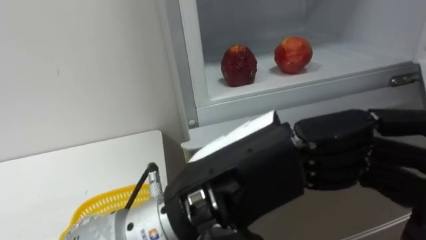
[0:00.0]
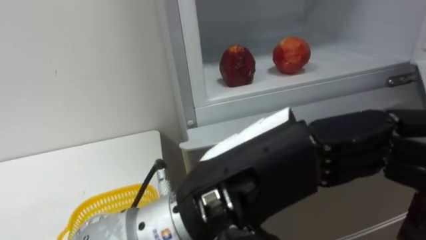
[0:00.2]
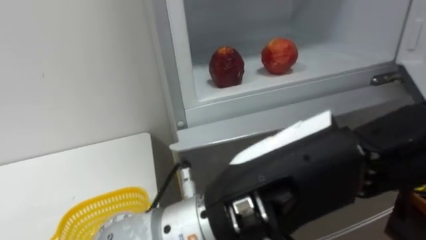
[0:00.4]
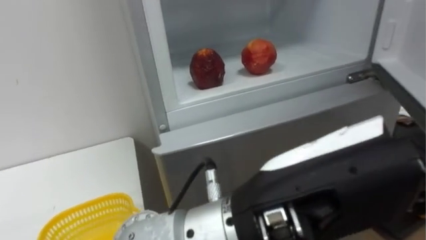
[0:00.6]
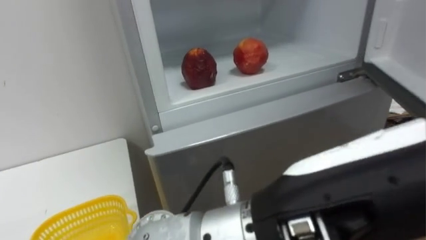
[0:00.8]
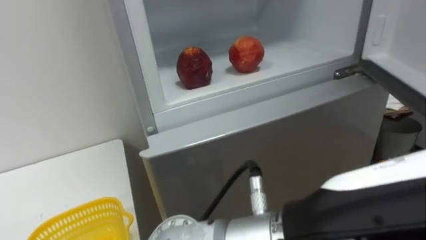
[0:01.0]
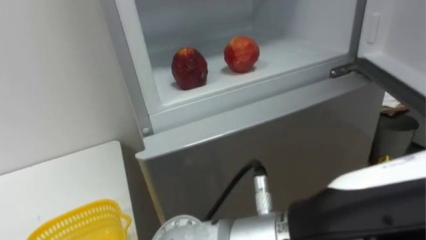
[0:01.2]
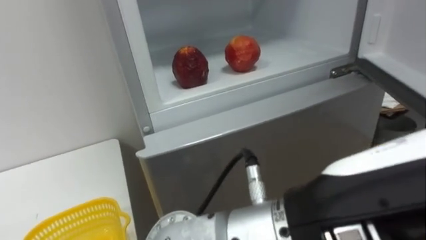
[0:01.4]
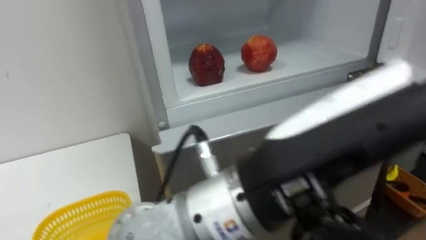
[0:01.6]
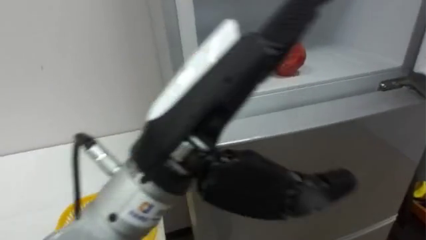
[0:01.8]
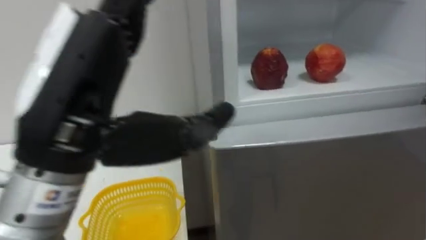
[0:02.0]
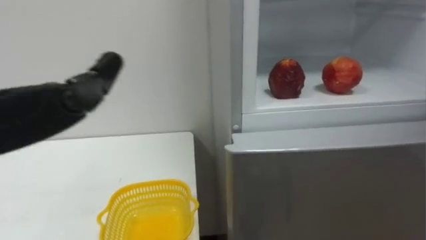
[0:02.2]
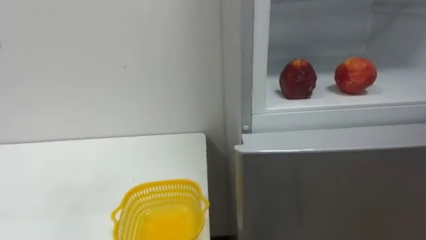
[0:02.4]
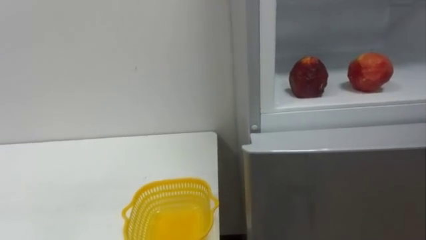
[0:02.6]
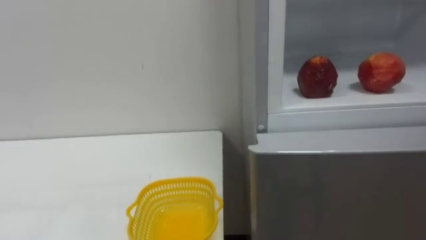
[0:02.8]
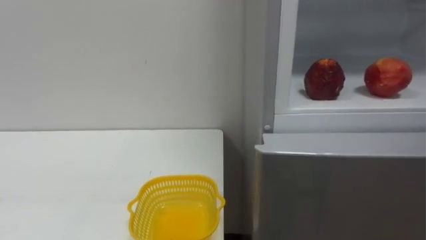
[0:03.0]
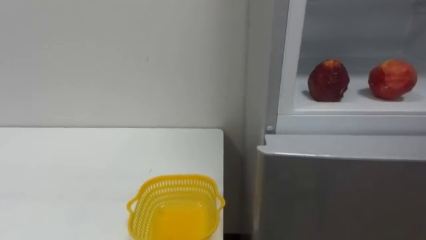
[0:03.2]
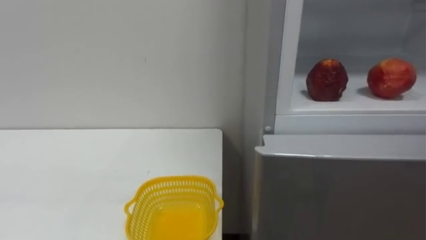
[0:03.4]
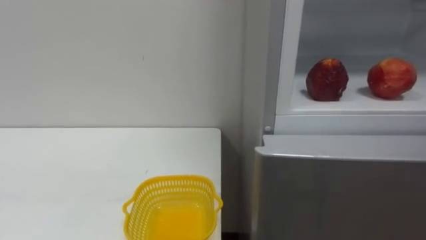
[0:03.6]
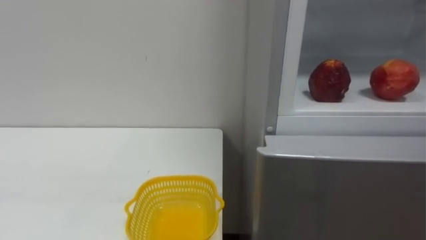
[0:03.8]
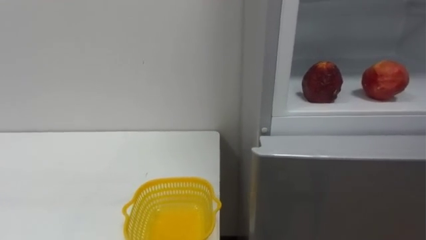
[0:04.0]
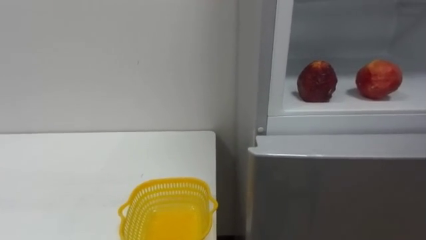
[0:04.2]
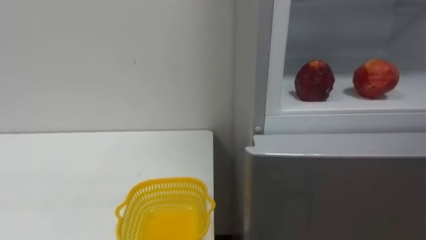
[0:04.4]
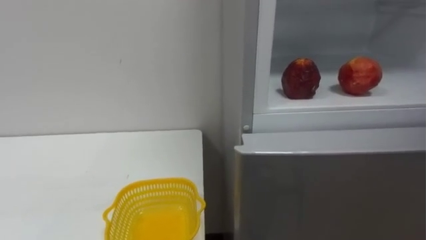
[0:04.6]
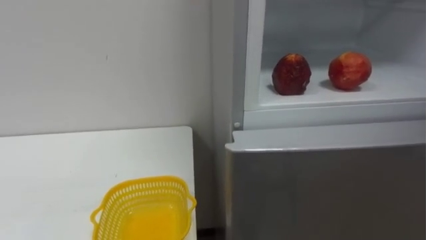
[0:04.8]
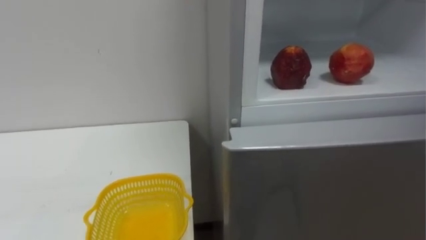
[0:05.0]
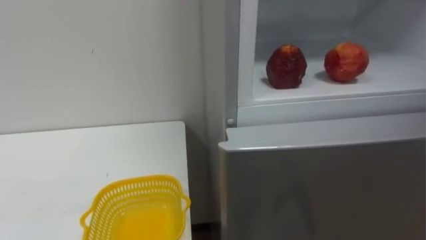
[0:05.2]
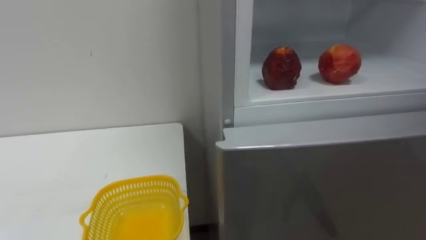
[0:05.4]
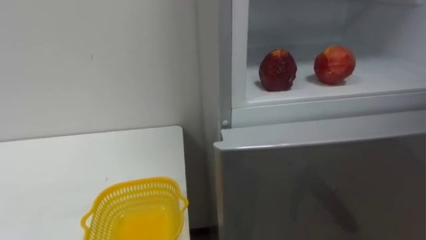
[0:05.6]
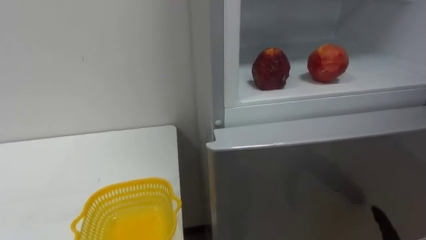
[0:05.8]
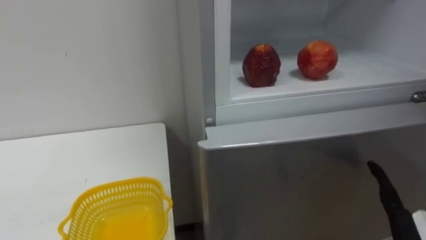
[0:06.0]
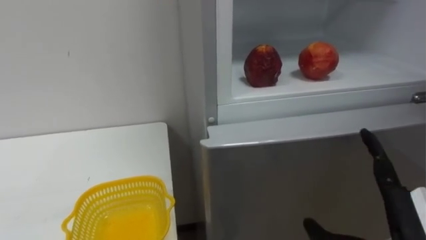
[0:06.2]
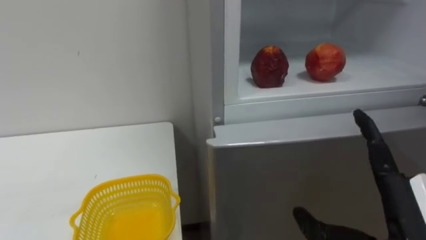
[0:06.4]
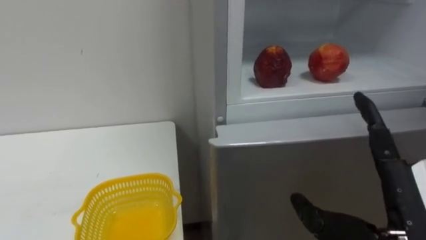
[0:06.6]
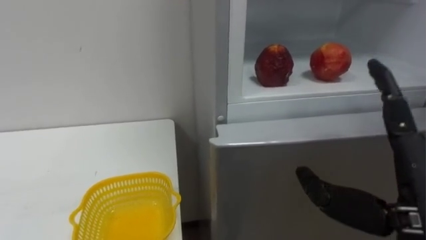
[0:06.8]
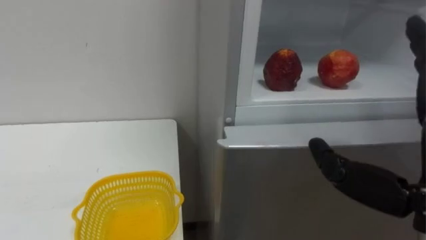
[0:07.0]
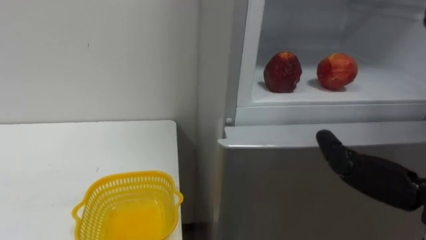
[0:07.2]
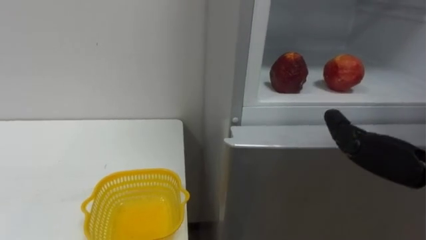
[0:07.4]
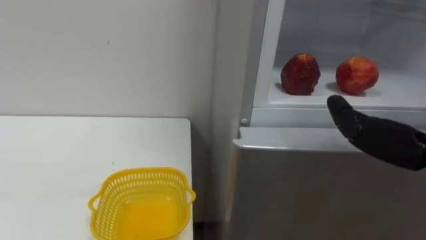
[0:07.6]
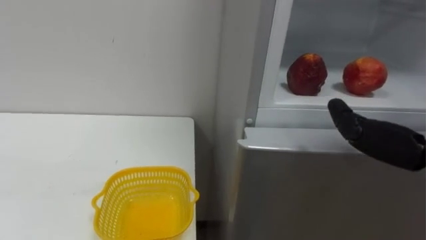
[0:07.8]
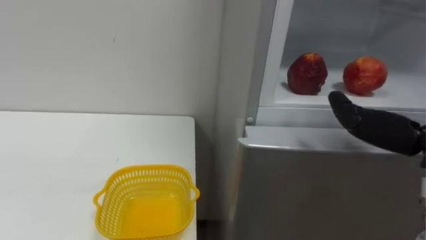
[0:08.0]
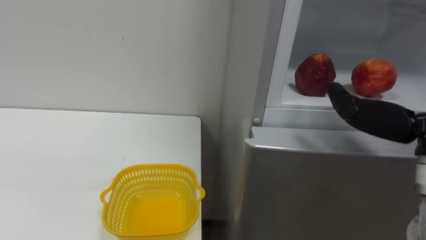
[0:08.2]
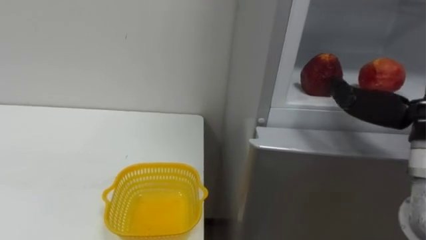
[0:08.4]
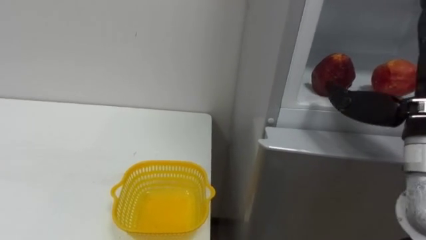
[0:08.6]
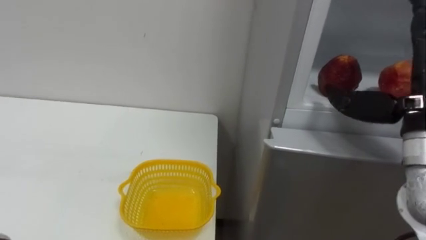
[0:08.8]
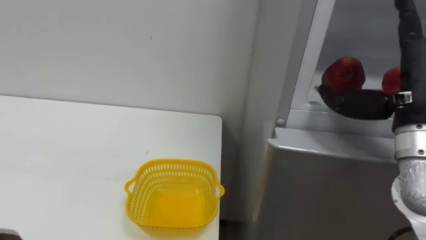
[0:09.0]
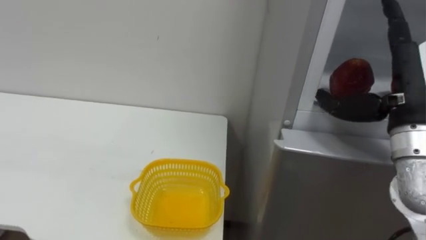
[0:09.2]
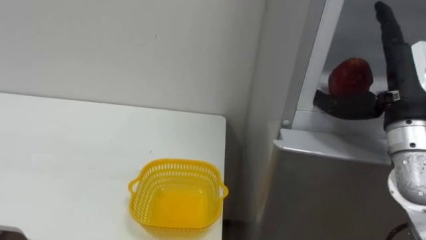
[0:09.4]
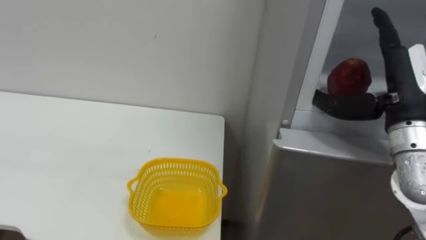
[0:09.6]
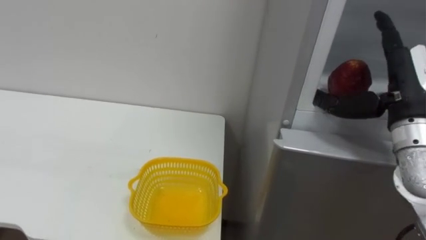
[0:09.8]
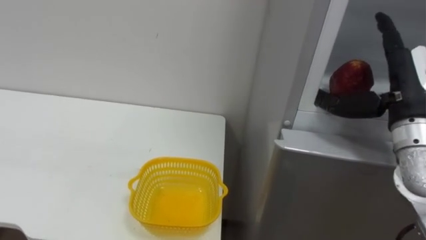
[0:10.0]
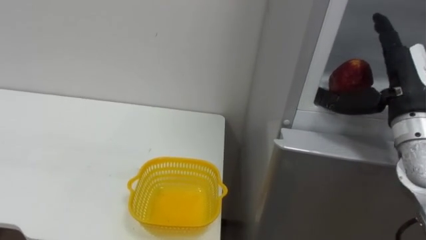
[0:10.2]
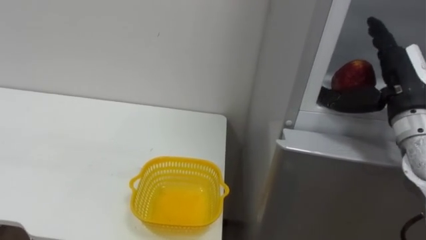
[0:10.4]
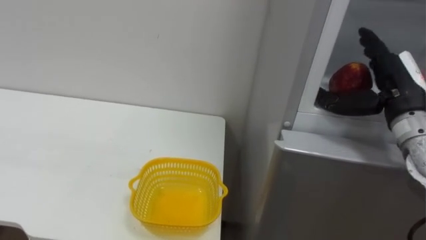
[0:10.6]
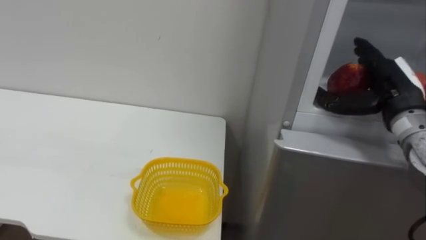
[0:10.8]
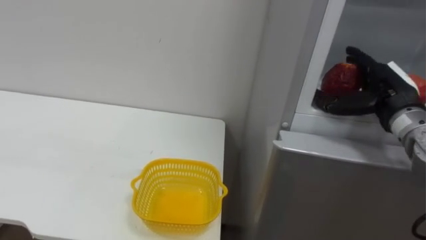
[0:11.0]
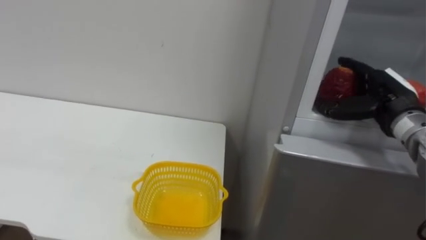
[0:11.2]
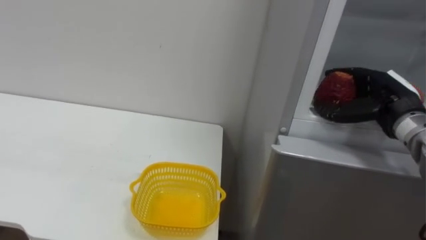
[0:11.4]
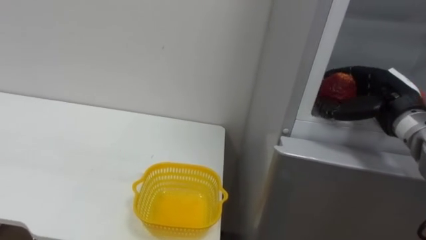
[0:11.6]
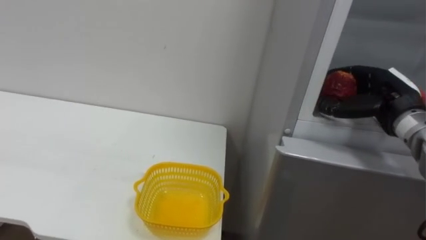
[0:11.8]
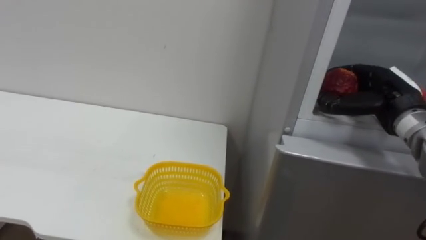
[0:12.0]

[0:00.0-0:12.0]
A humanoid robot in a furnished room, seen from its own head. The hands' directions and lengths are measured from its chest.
Task of the whole recording: Open the refrigerator door, take out the apple and the pomegranate, place them in the fruit basket on the left, and close the refrigerator door.
0:00.0 to 0:01.6: The left hand goes approximately 5 cm to the right.
0:09.0 to 0:10.4: The right hand goes approximately 5 cm forward.
0:10.4 to 0:12.0: The right hand changes place by roughly 5 cm, and closes.

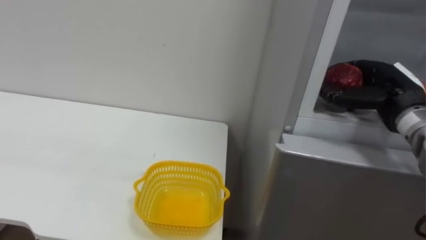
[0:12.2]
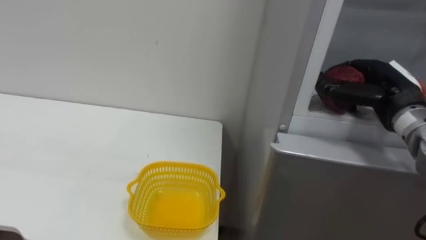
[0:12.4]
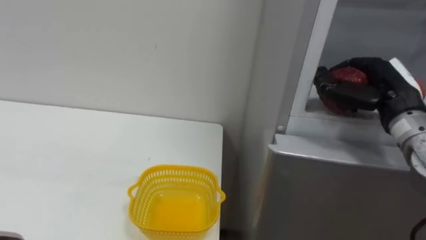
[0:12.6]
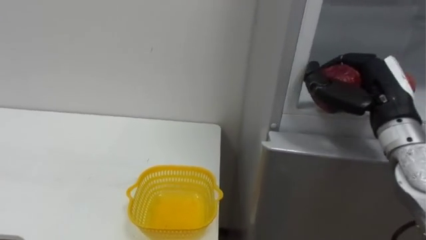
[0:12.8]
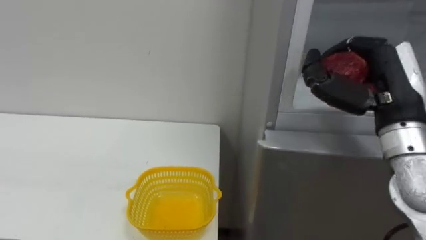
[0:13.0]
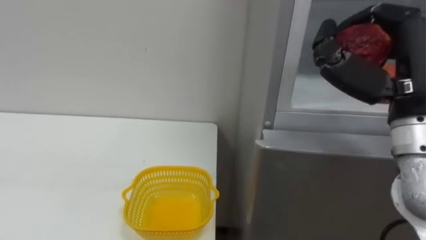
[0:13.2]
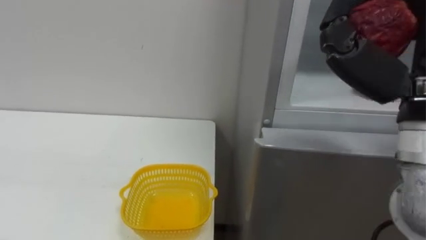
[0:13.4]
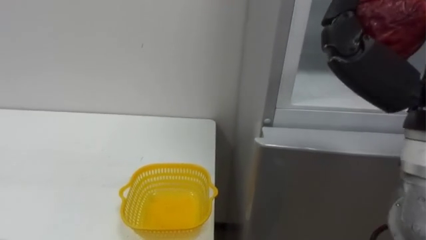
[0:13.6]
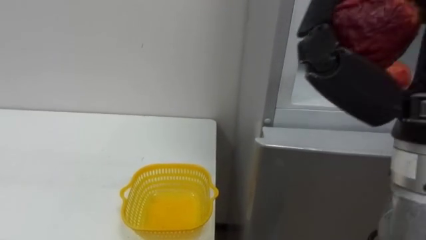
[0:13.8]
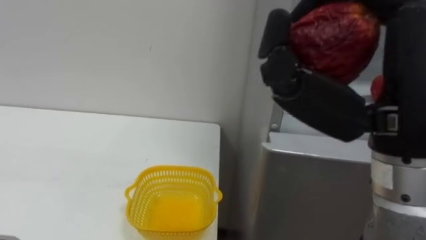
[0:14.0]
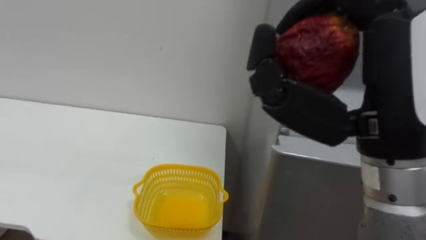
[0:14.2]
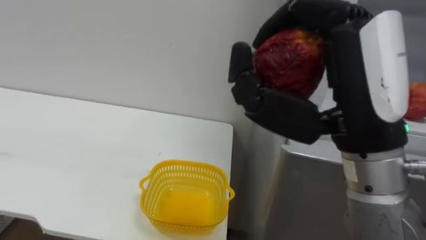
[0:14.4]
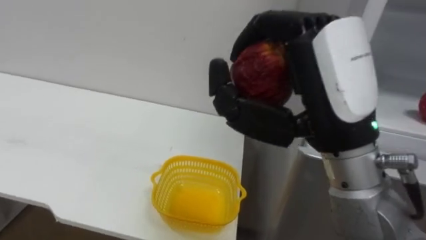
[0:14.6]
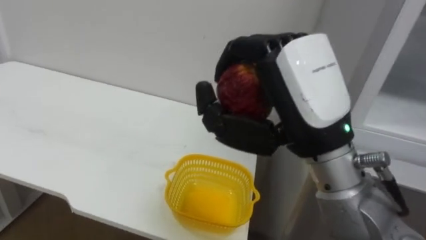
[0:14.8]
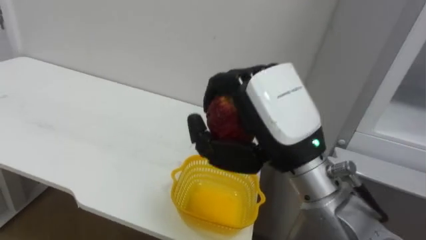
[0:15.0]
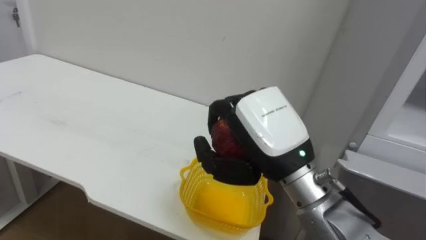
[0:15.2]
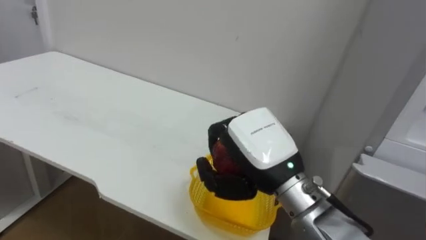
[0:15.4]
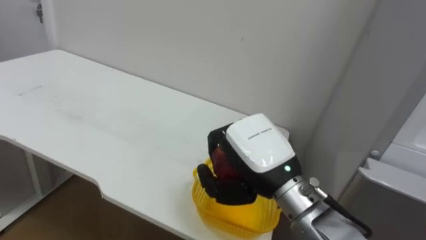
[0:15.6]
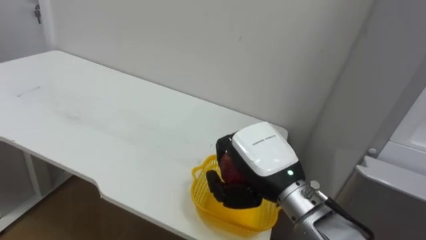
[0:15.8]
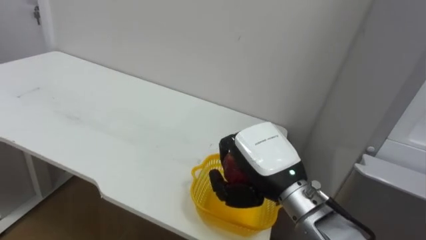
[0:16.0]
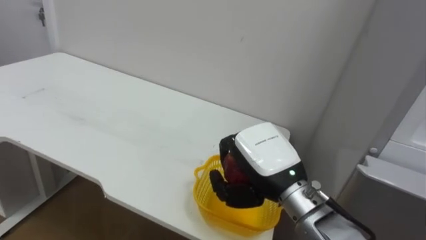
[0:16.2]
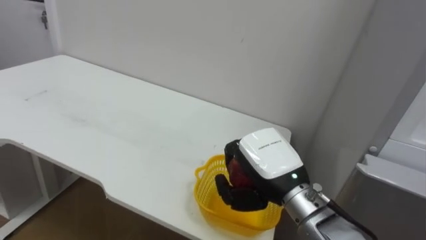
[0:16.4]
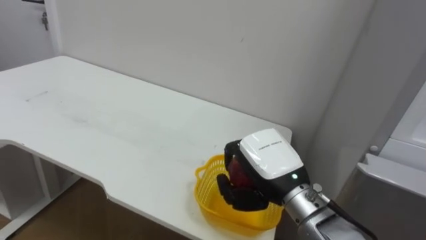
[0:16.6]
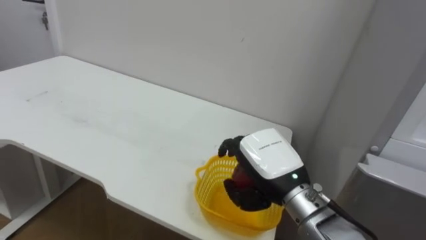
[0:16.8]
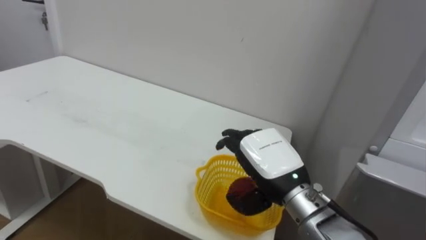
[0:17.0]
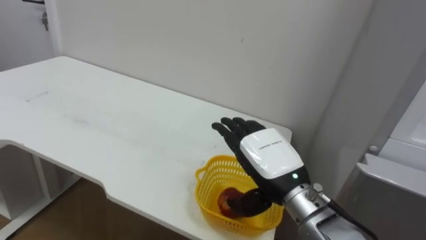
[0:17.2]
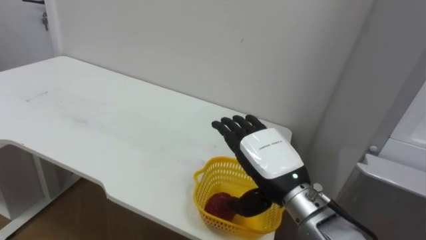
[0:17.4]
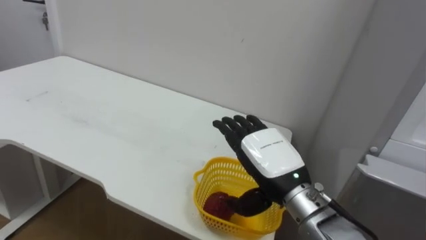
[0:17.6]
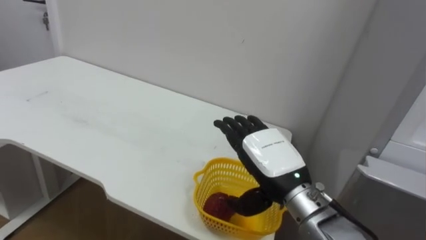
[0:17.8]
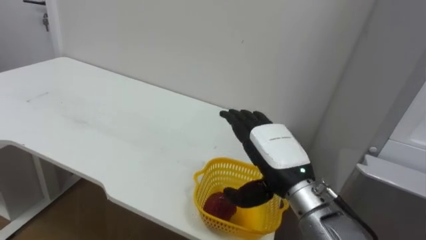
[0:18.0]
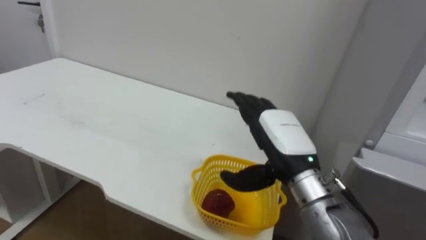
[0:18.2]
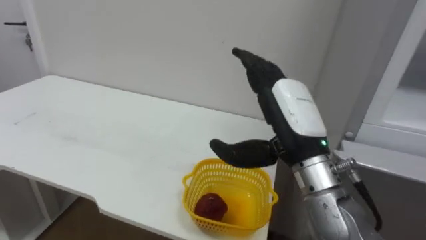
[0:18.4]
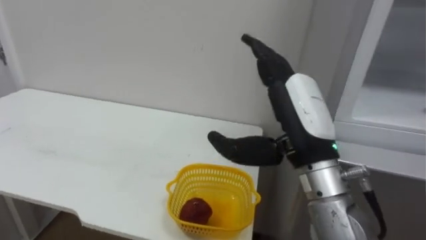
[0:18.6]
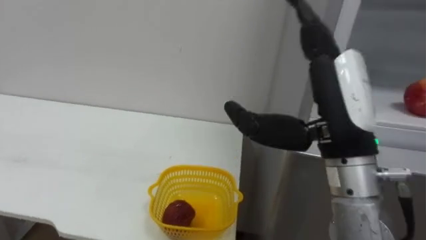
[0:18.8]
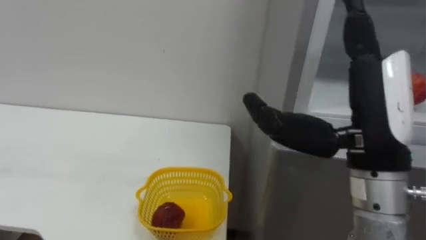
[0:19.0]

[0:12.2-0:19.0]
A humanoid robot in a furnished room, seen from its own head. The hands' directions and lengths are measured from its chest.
Task of the whole recording: Open the refrigerator door, take out the apple and the pomegranate, place them in the fruit basket on the left, and close the refrigerator door.
0:15.0 to 0:16.2: The right hand moves downward and forward, about 15 cm.
0:16.2 to 0:17.6: The right hand opens.
0:17.6 to 0:19.0: The right hand goes approximately 20 cm upward, backward and to the right.
